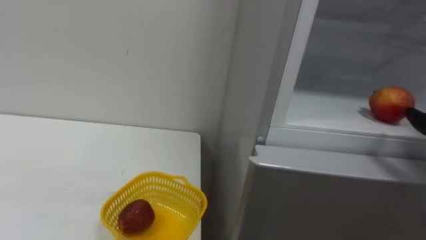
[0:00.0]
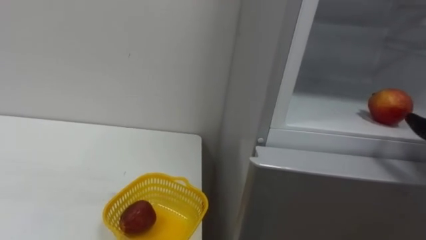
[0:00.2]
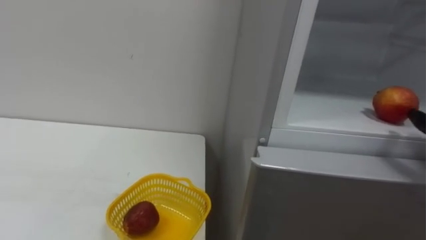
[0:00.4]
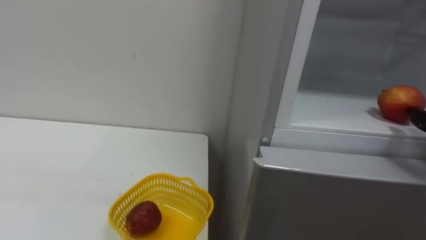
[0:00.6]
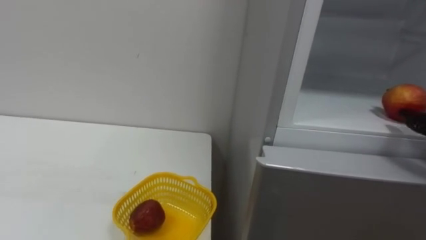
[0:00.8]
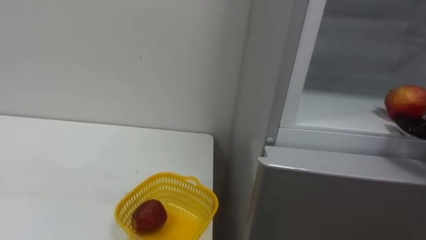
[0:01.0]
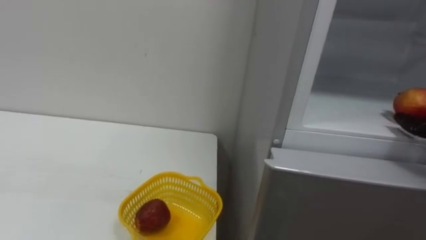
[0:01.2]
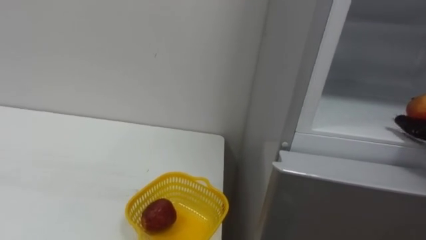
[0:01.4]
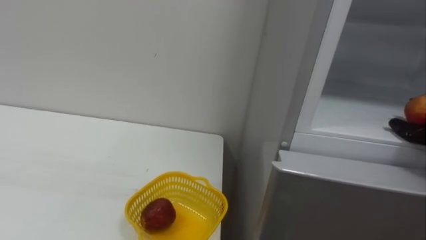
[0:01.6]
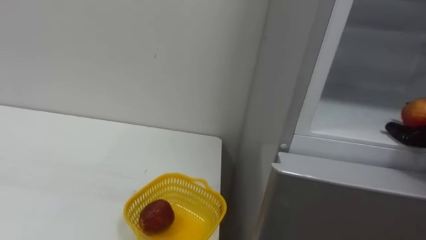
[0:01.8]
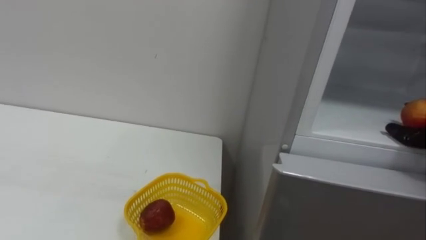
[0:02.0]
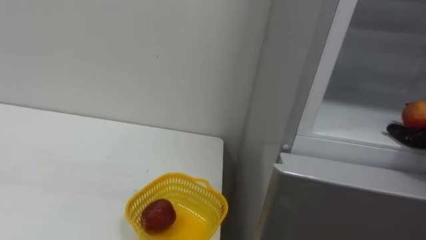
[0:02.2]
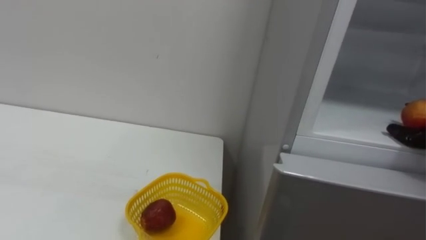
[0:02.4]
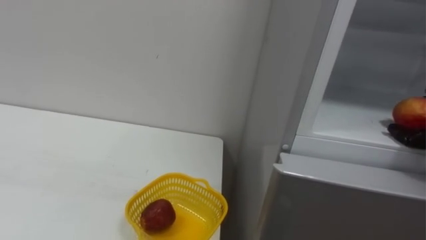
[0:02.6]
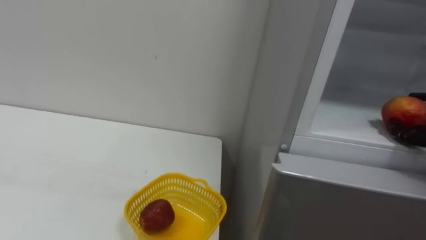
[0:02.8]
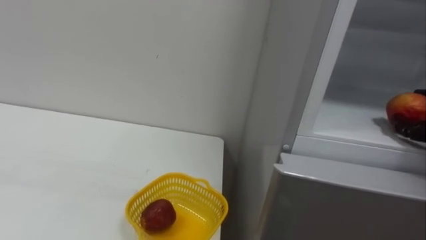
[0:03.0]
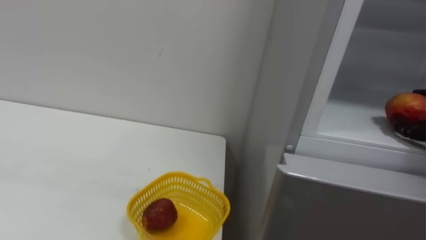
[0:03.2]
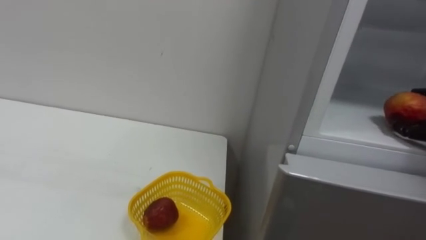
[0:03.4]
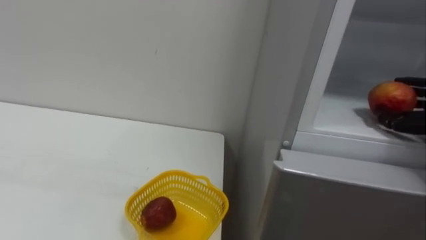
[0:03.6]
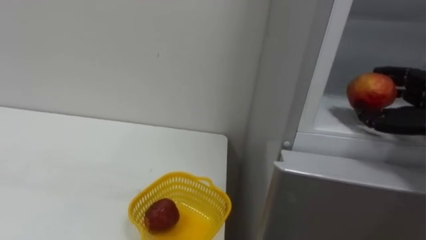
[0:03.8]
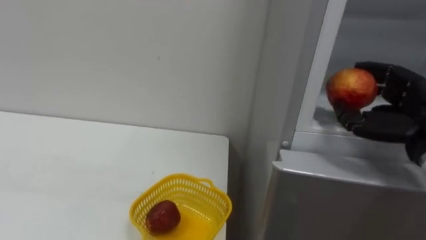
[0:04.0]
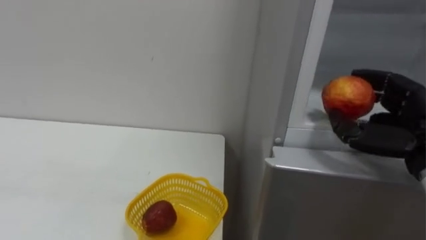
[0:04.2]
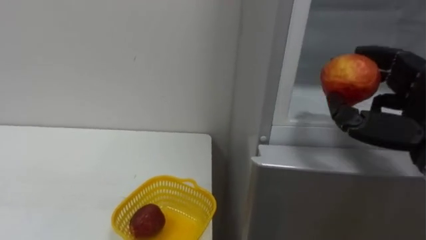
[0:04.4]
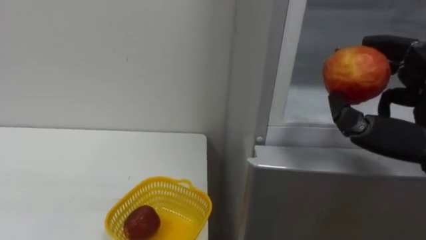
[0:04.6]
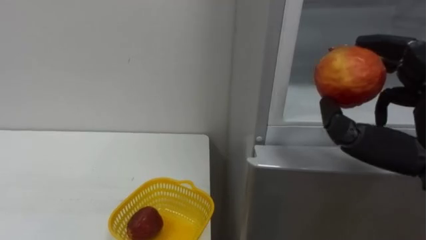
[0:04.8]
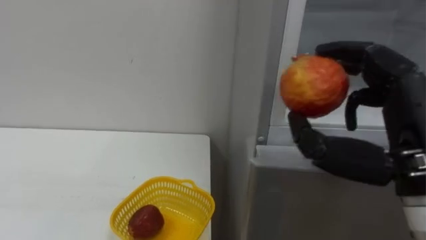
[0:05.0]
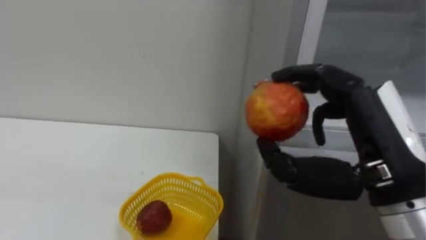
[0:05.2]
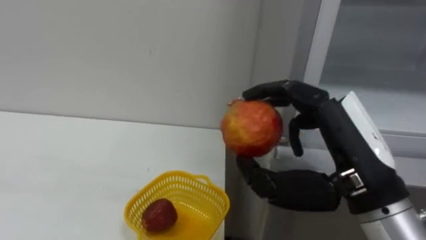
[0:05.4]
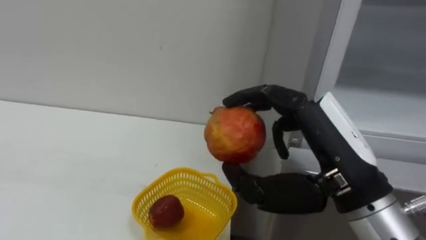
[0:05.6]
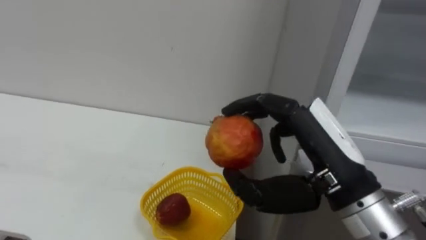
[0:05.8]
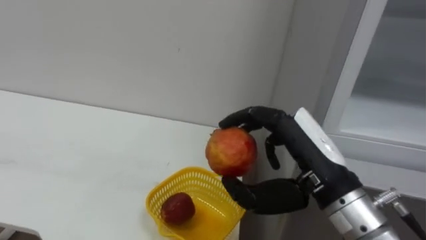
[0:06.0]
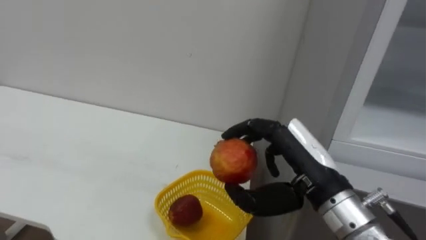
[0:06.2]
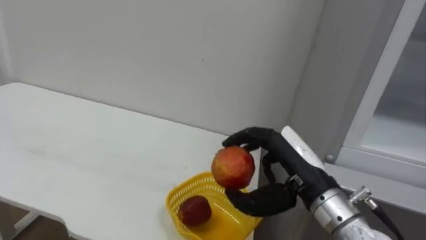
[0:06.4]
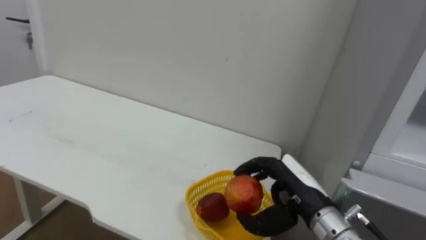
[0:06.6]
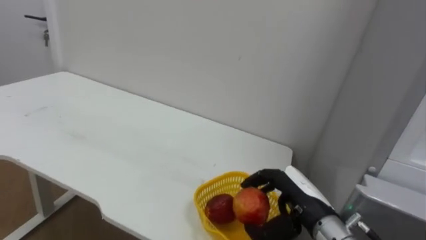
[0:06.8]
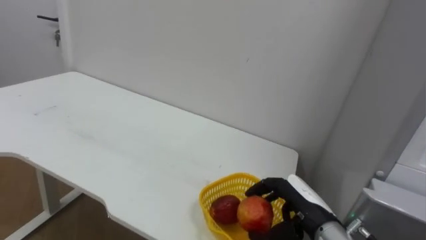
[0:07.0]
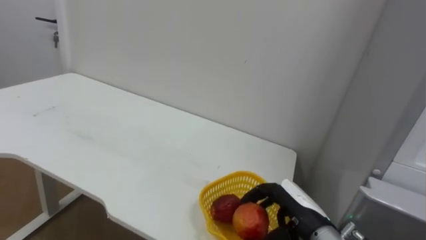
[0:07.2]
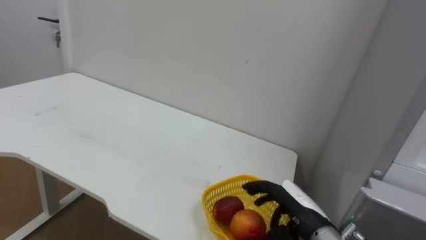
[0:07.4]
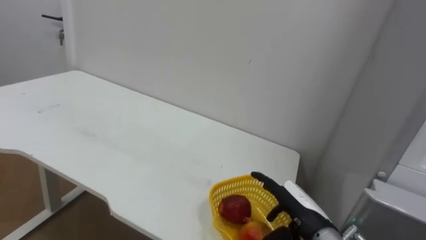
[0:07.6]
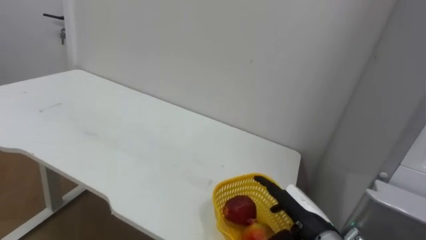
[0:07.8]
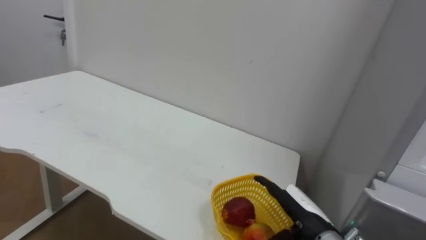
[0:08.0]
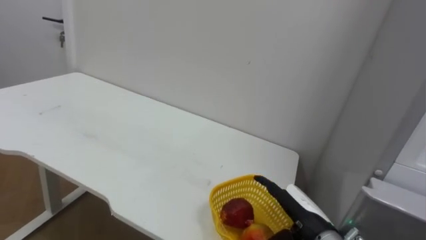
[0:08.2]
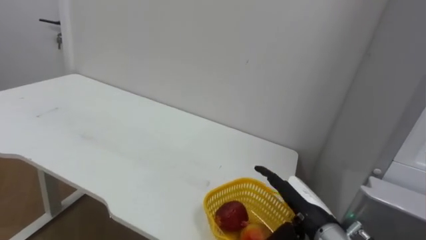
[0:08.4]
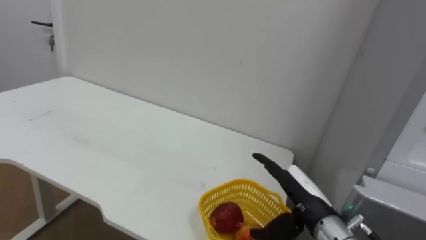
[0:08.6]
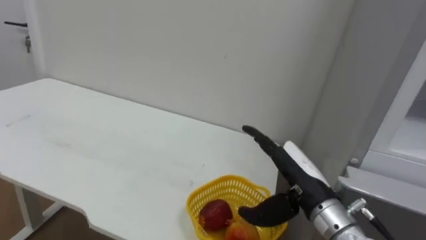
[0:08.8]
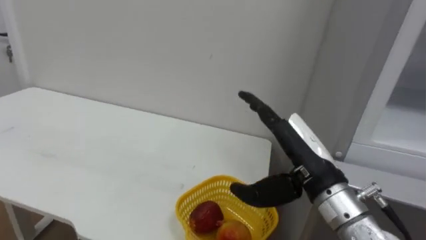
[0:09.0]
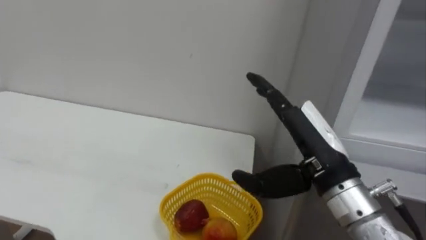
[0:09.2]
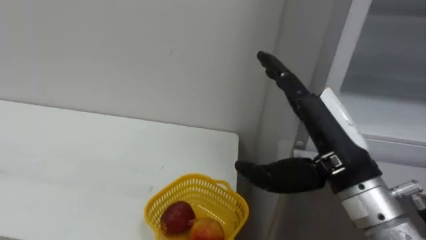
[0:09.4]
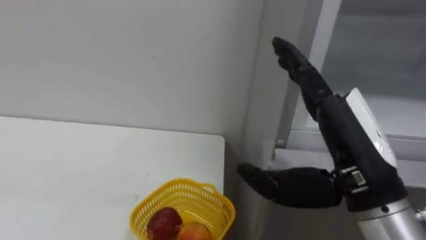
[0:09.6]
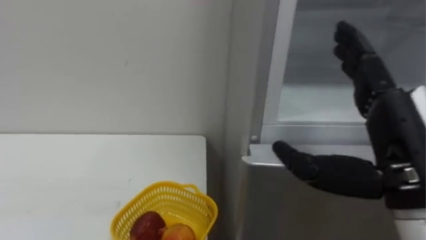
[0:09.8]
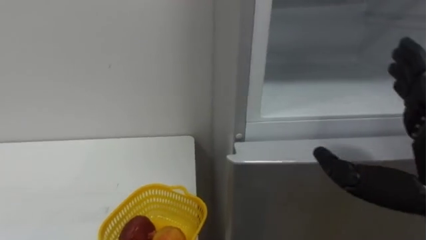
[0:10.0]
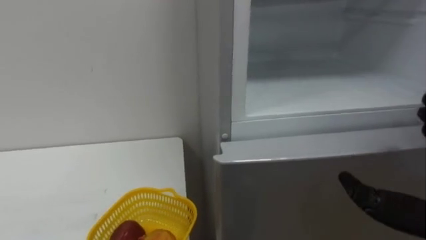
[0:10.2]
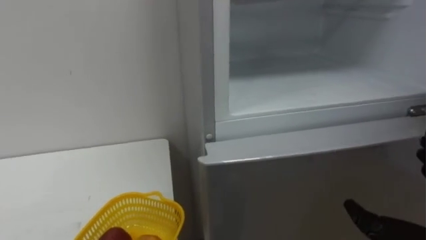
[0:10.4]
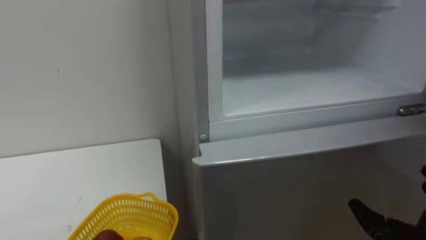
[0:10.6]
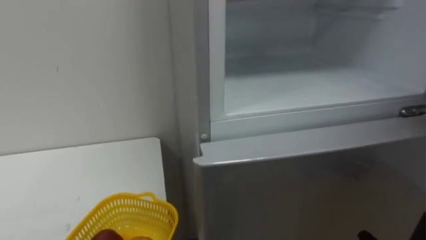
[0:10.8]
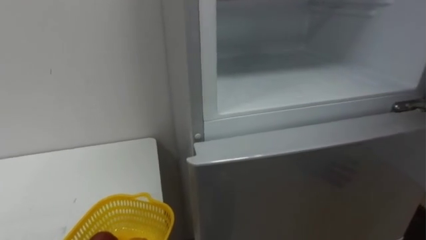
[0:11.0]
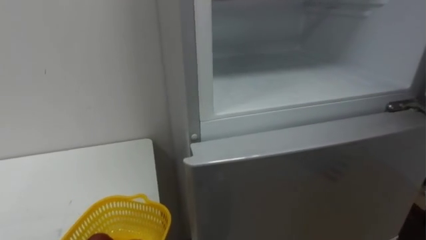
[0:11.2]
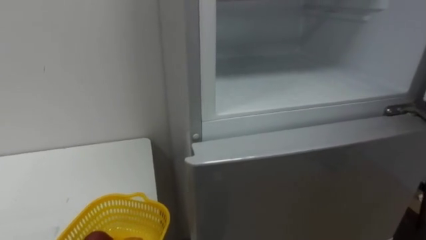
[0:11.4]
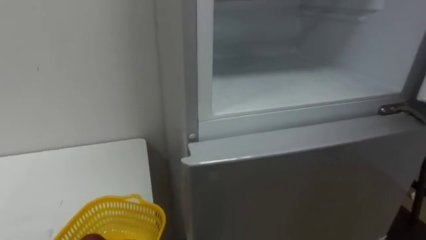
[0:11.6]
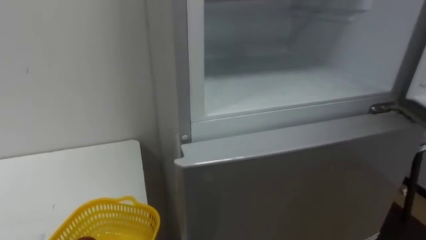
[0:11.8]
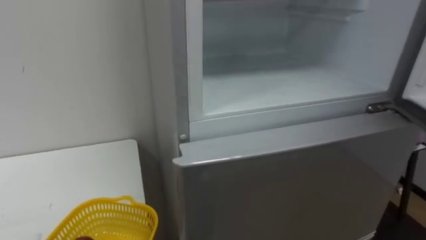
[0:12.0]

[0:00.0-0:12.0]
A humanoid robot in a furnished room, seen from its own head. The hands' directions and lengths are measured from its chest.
Task of the whole recording: Open the refrigerator door, take out the apple and the pomegranate, place them in the fruit basket on the left, and close the refrigerator door.
0:06.0 to 0:07.6: The right hand goes some 20 cm downward, and opens.
0:07.6 to 0:09.0: The right hand goes approximately 15 cm upward.

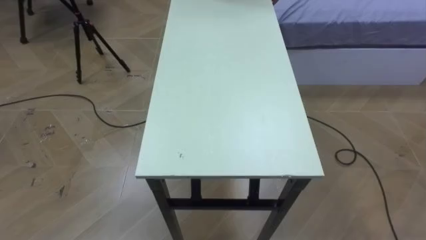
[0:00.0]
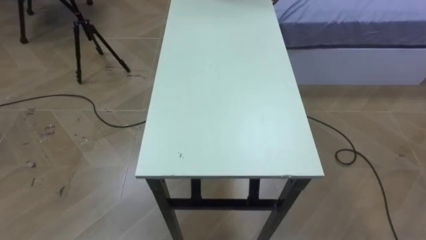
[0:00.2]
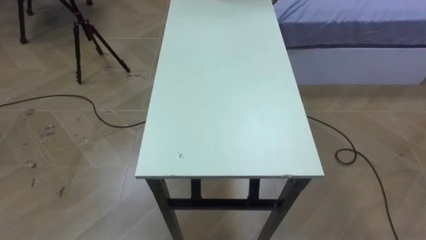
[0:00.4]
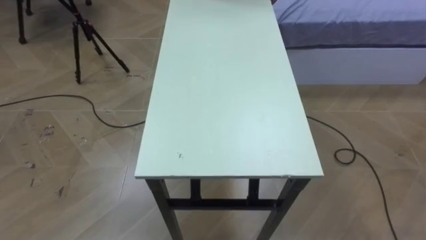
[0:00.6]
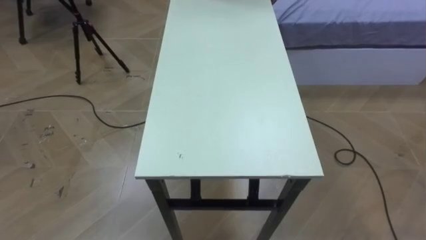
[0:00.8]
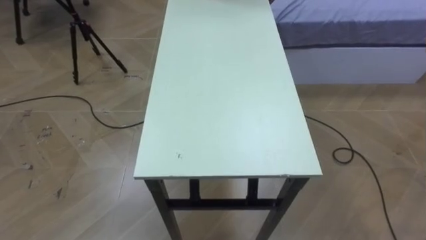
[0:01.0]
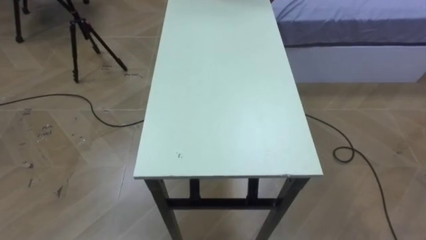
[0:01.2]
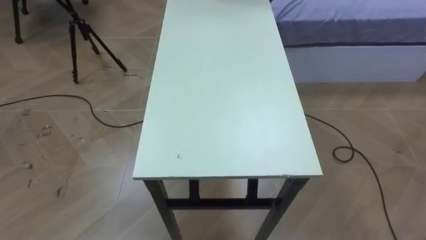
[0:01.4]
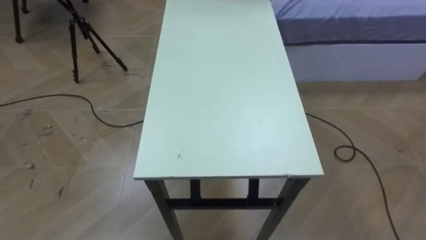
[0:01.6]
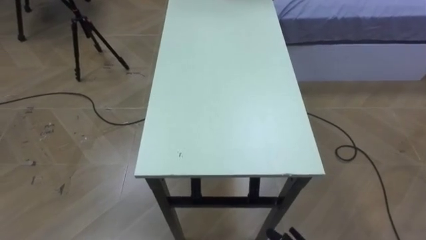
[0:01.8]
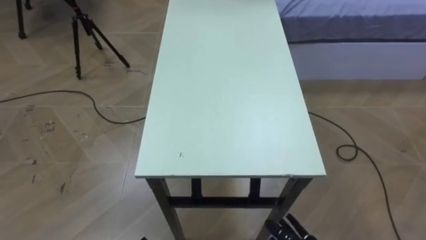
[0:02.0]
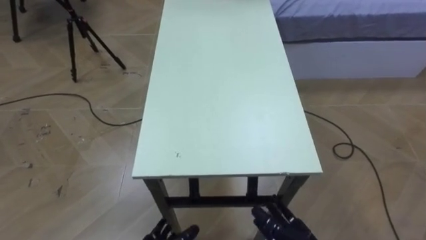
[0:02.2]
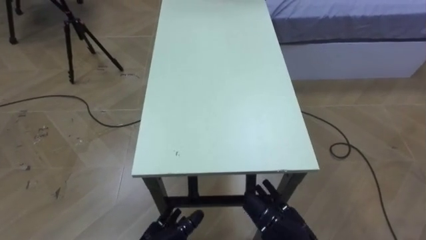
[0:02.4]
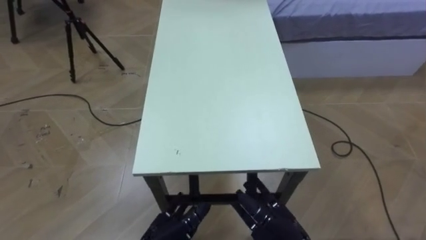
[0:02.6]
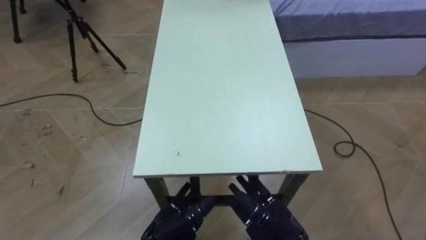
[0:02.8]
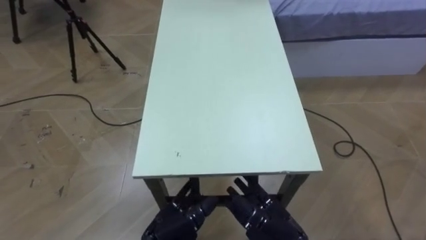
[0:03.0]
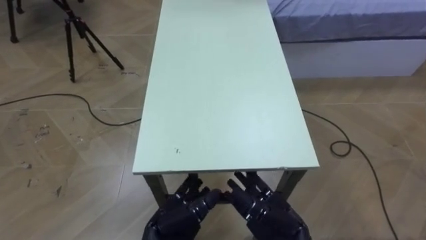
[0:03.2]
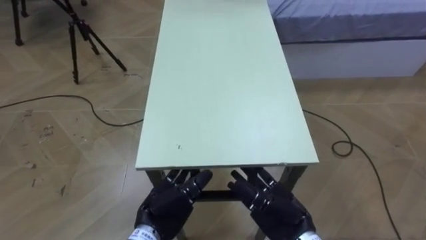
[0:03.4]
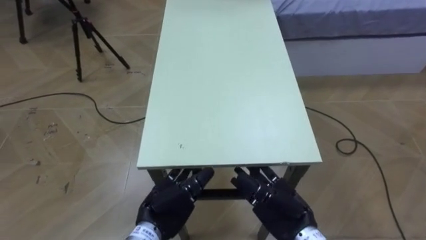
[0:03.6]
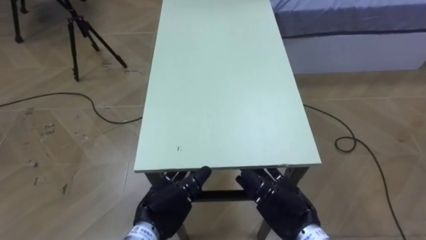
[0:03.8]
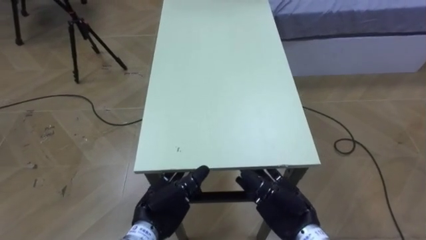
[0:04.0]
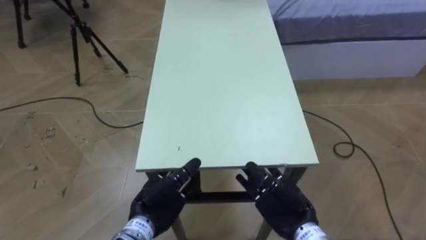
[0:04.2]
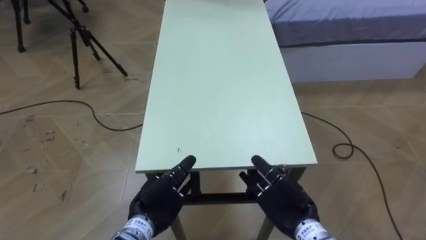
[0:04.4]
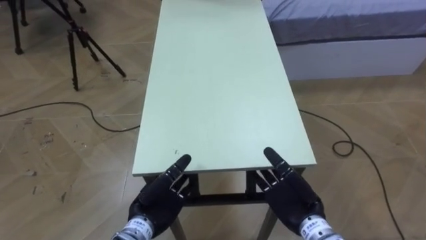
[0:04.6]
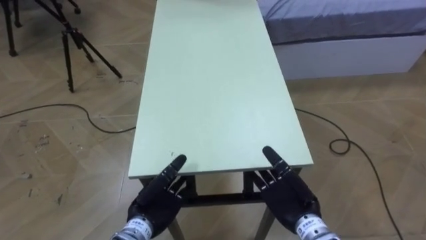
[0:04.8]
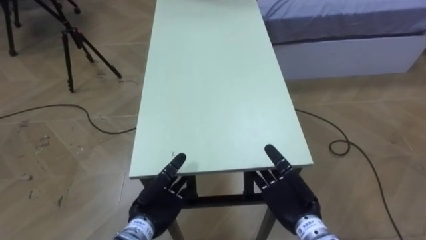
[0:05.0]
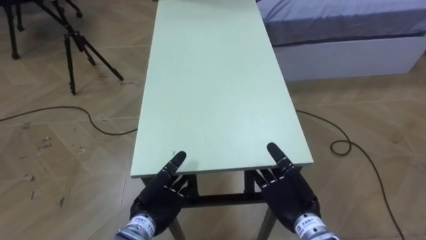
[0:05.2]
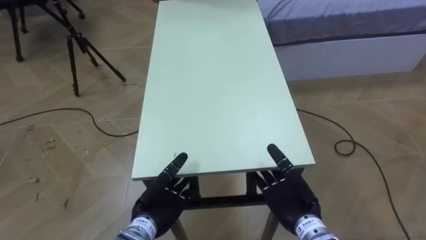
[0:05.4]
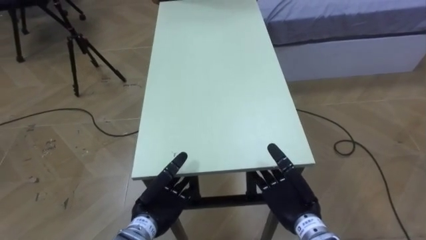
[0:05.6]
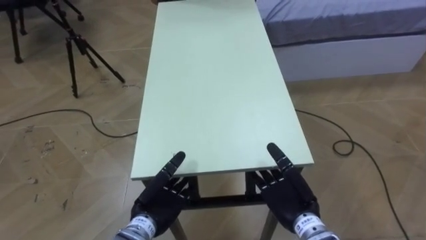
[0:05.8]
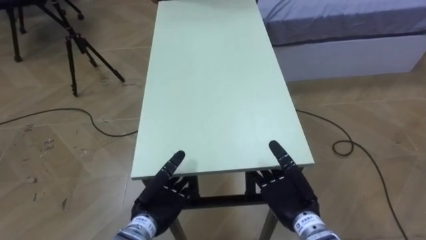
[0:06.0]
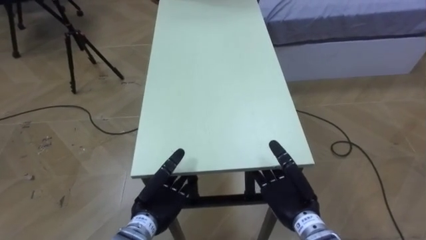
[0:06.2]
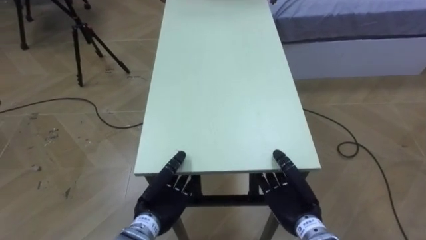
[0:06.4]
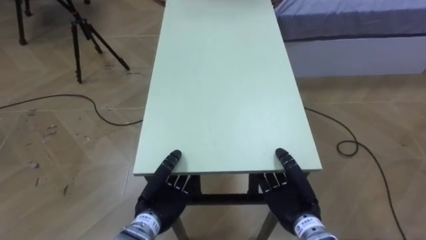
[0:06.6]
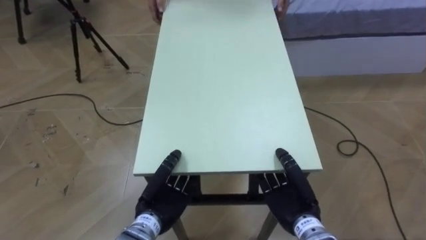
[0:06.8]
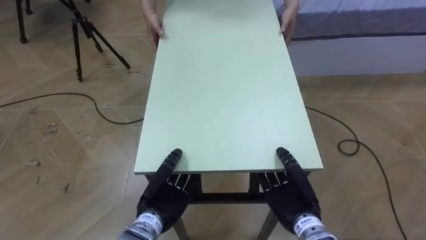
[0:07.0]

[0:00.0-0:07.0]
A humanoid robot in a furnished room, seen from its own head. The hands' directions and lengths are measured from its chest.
Task of the whole recording: Move the table to the back left with someone.
0:02.8 to 0:04.2: The left hand heads forward, covering approximately 5 cm.
0:05.6 to 0:07.0: The right hand closes up, while the left hand closes.
